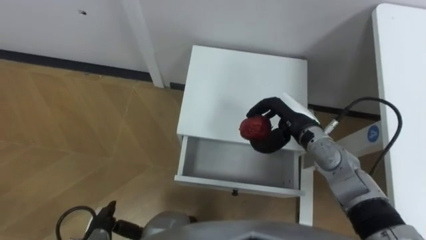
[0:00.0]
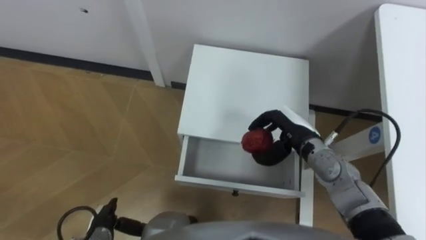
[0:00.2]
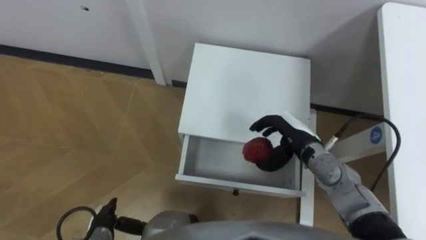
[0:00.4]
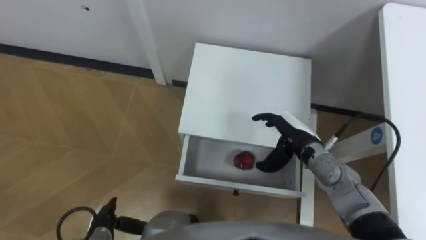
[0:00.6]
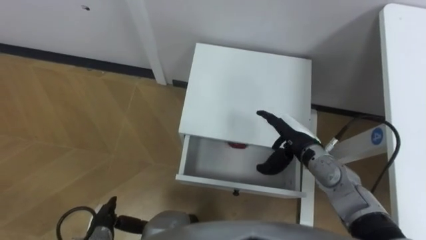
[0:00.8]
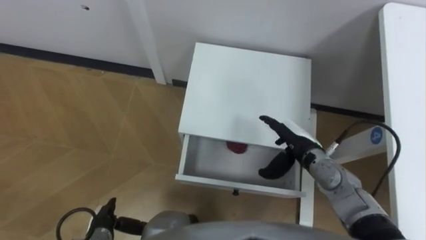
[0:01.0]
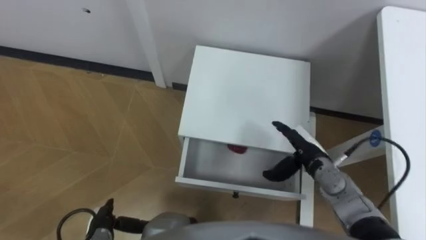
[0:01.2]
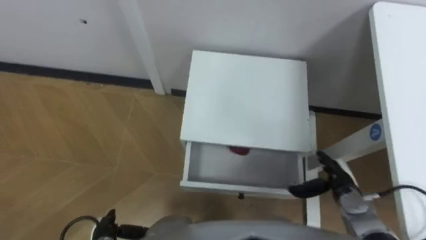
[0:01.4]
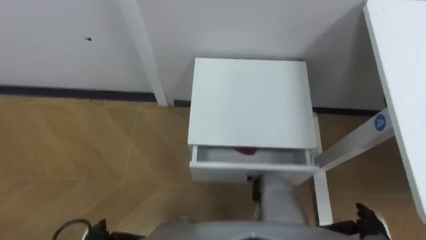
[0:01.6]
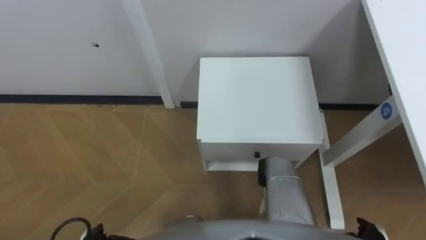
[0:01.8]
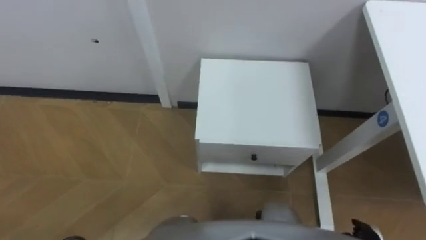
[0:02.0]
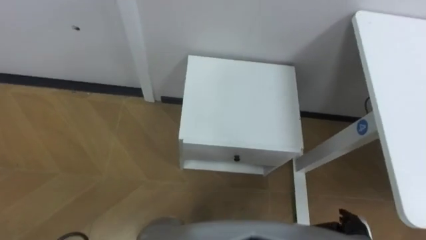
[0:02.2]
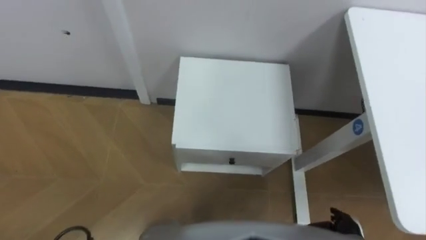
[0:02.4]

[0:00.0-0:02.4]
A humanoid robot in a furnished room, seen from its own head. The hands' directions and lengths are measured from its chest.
Task of the whole recording: Pick up the apple from the table, put it in the drawer, and close the drawer with leg.
0:00.0 to 0:01.2: The right hand shifts some 5 cm downward, and opens up.
0:01.2 to 0:02.4: The right hand moves backward, downward and to the right, about 20 cm.

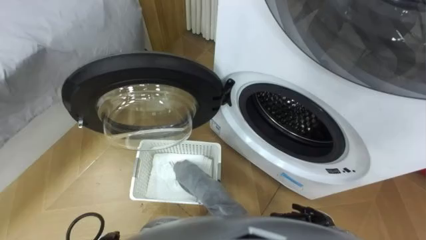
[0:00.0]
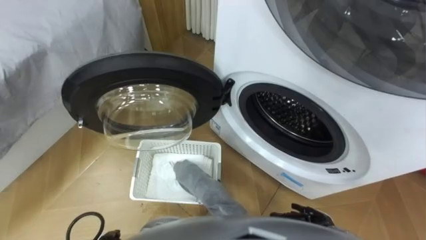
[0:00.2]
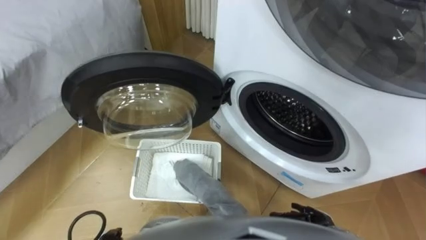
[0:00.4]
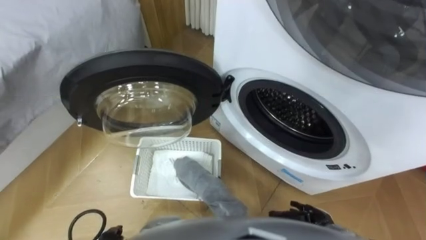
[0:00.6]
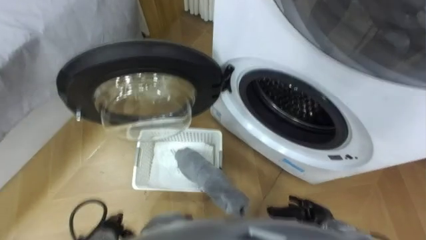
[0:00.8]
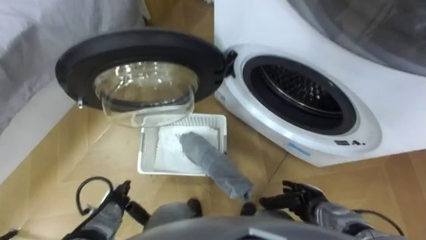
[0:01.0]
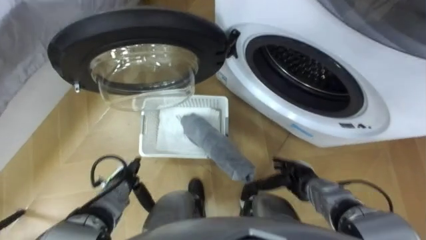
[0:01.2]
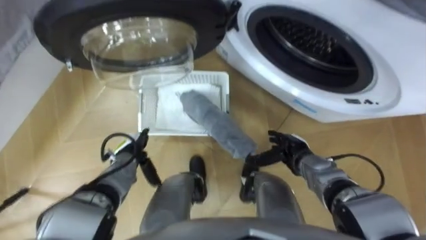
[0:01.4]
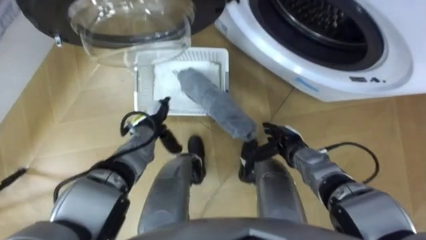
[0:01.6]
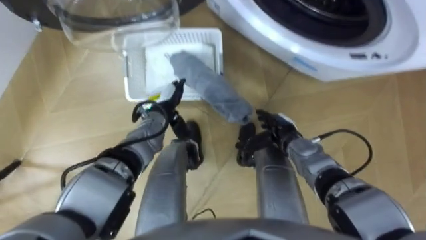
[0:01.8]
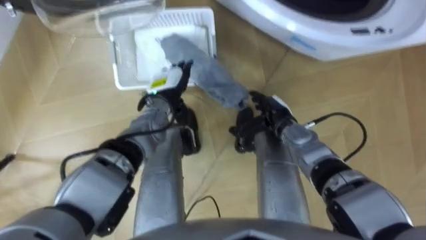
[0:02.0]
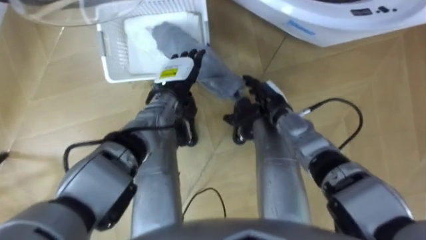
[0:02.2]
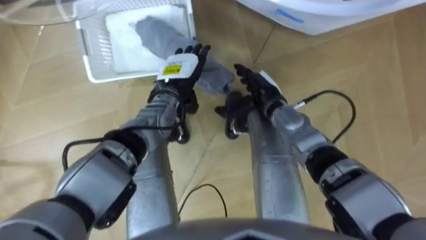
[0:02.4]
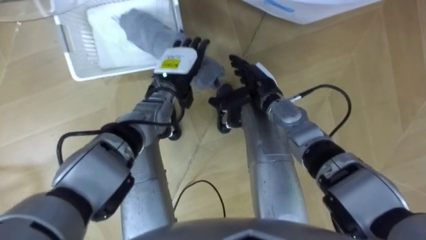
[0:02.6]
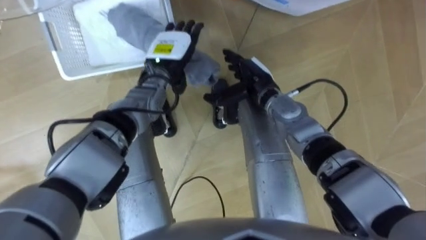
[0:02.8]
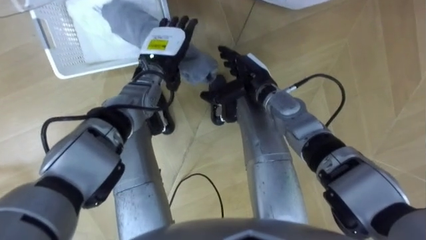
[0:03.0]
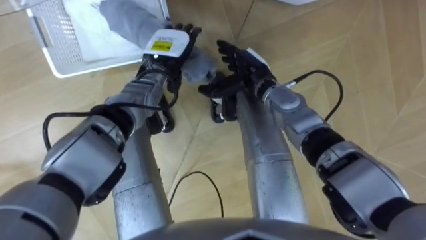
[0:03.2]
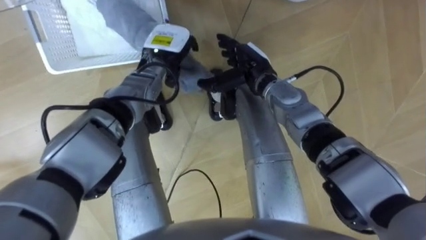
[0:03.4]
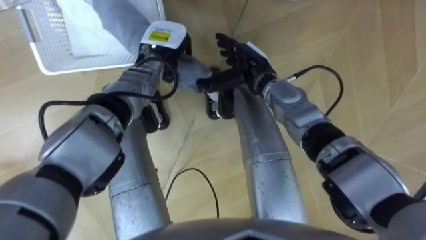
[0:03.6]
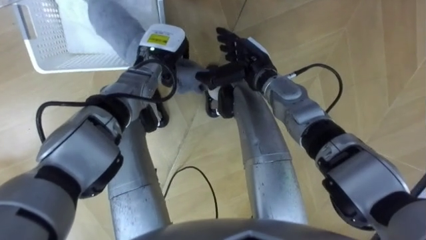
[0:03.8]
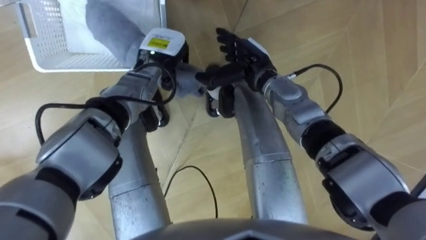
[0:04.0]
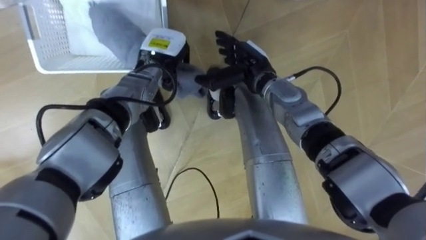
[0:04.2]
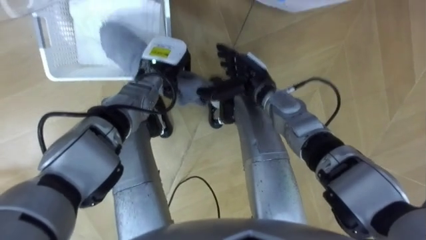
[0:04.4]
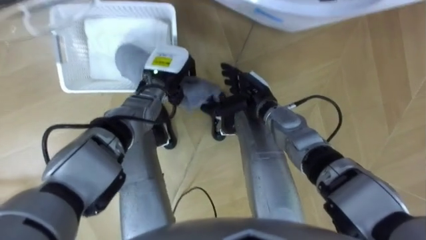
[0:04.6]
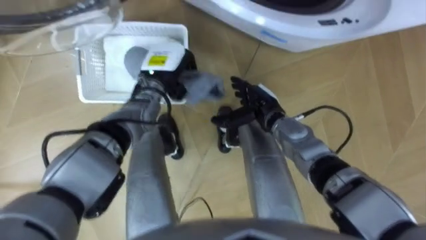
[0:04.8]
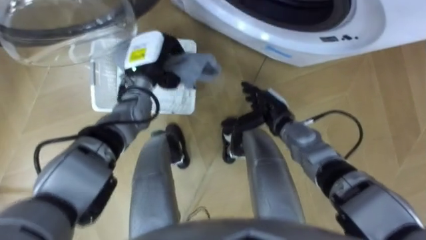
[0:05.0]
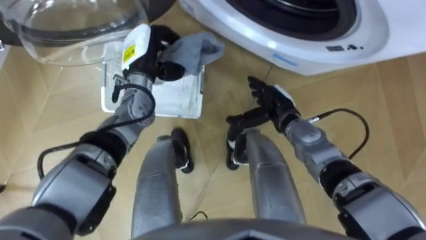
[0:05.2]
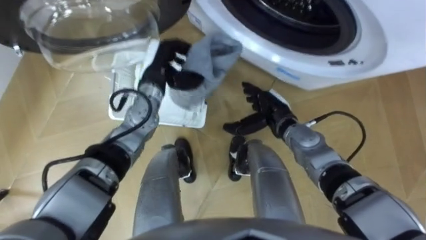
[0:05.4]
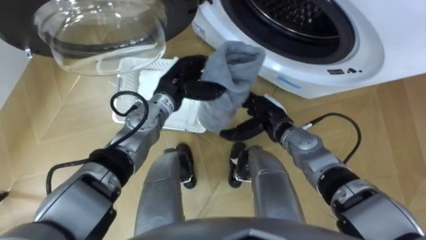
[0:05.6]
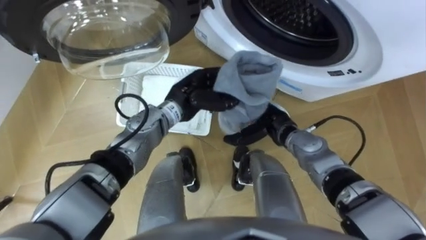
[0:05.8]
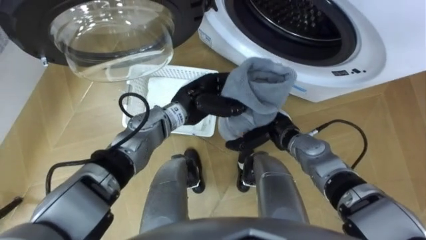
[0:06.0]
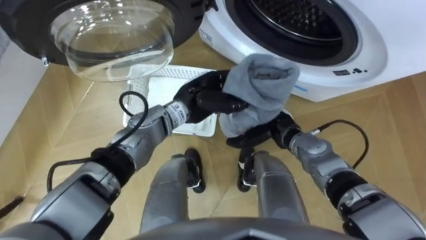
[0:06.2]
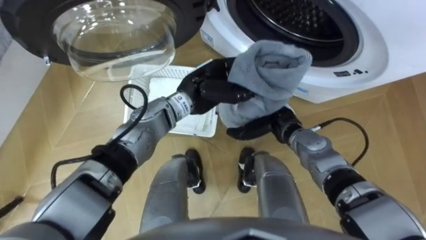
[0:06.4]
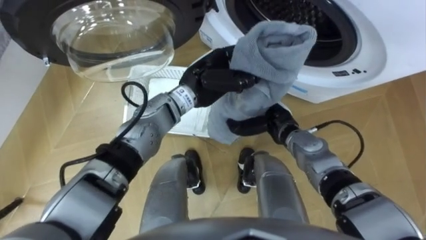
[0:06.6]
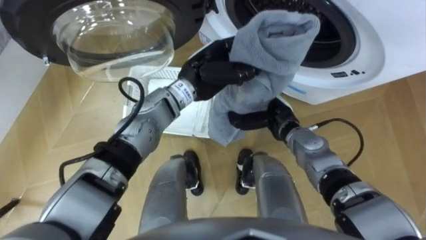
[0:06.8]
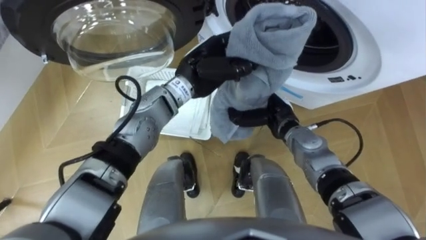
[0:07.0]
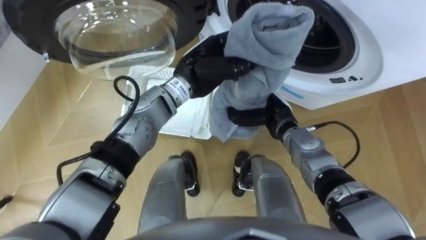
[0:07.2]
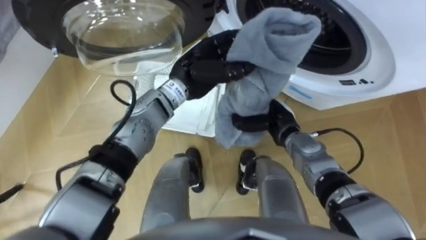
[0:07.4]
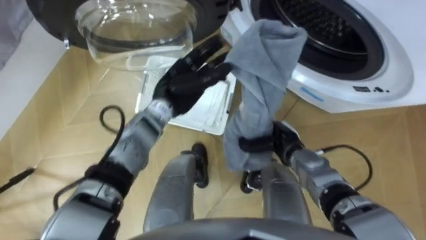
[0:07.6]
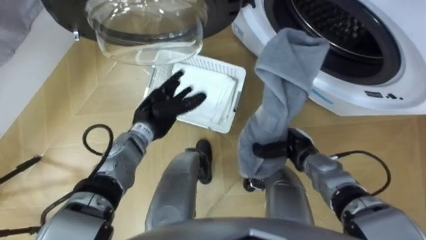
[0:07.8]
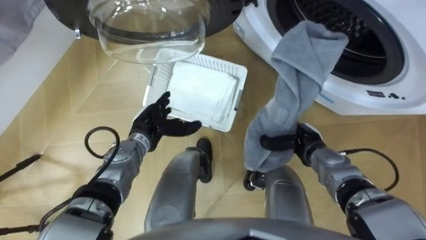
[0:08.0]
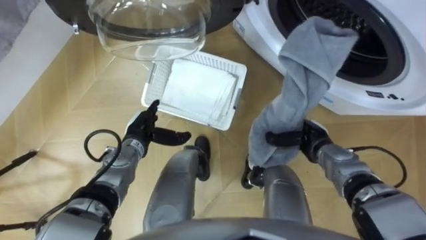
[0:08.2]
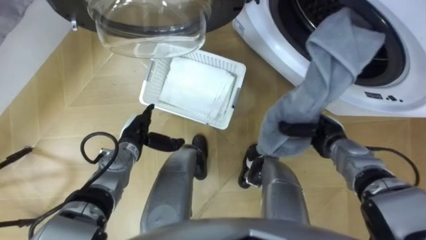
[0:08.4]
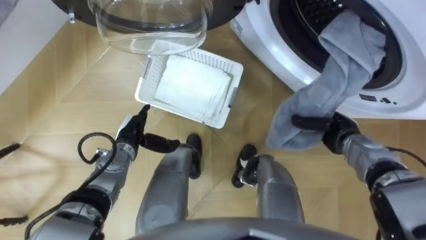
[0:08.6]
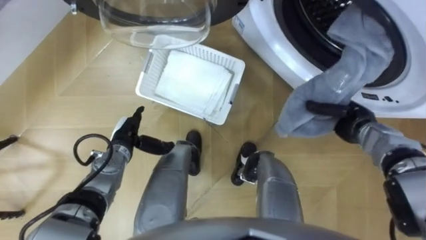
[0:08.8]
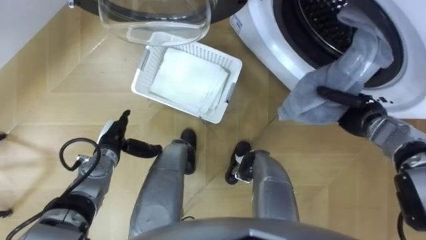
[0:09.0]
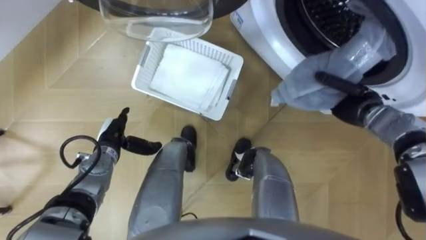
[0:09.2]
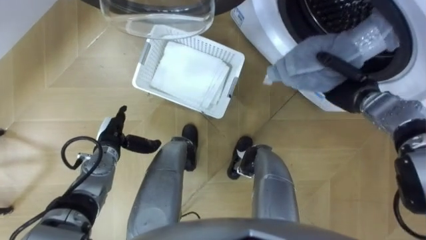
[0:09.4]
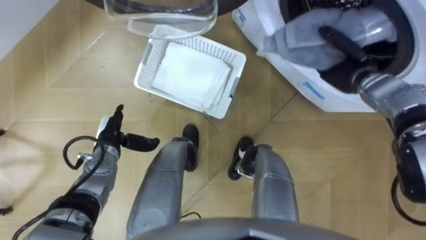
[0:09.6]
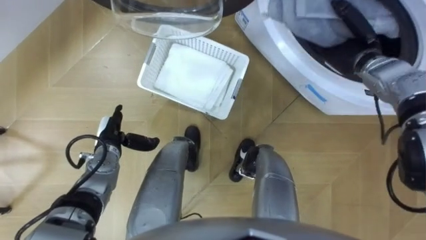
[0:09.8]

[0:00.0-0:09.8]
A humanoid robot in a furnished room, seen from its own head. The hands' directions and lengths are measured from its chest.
Task of the whole recording: Take the towel from the basket and put it into the washing machine.
0:01.4 to 0:02.8: The left hand goes some 25 cm forward, upward and to the right, while the right hand travels upward, forward and to the left by about 20 cm.
0:02.8 to 0:04.2: The left hand closes its fingers.
0:04.2 to 0:05.6: The left hand is displaced backward by about 5 cm. The right hand is displaced downward, backward and to the right by approximately 10 cm.
0:05.6 to 0:07.0: The left hand heads upward and to the right, covering approximately 10 cm, while the right hand closes its fingers.
0:07.0 to 0:08.4: The right hand goes some 10 cm to the right; the left hand is displaced downward, to the left and backward by approximately 25 cm, and opens its fingers.
0:08.4 to 0:09.8: The right hand travels upward and forward by approximately 20 cm. Meanwhile the left hand heads to the left, covering some 5 cm.

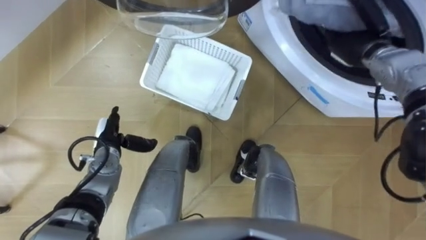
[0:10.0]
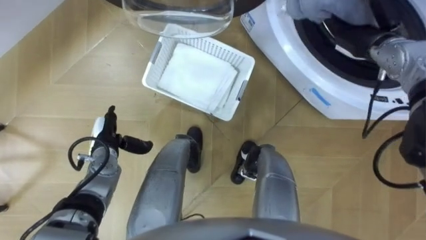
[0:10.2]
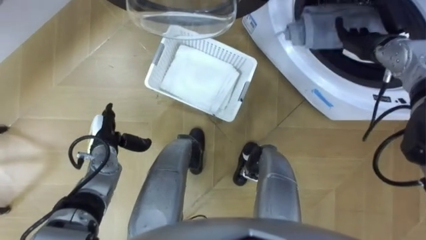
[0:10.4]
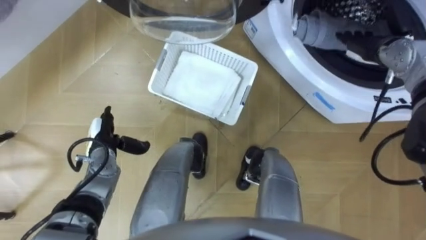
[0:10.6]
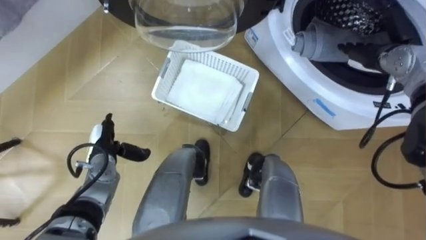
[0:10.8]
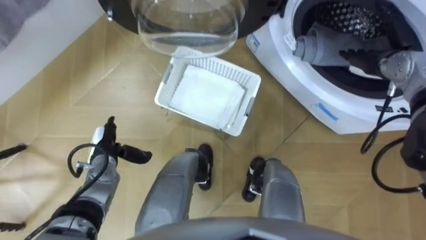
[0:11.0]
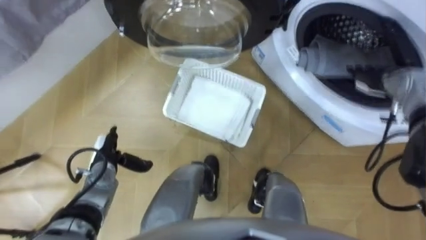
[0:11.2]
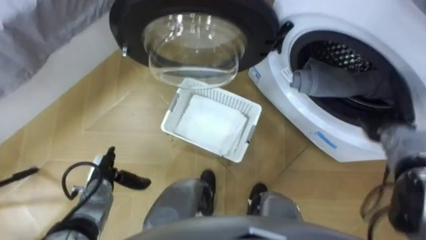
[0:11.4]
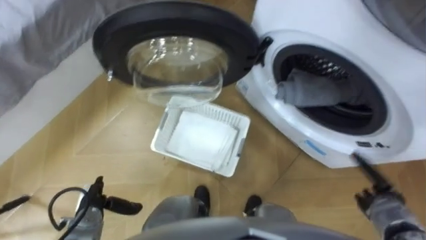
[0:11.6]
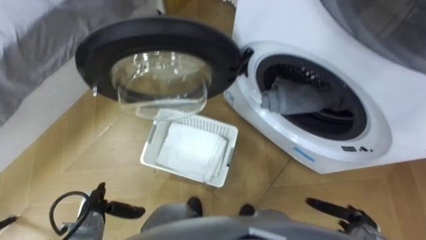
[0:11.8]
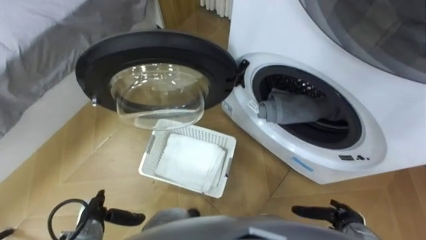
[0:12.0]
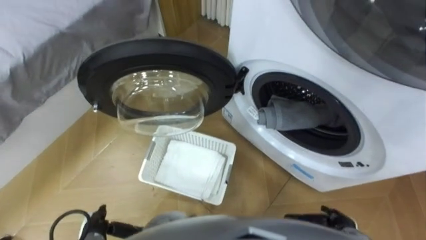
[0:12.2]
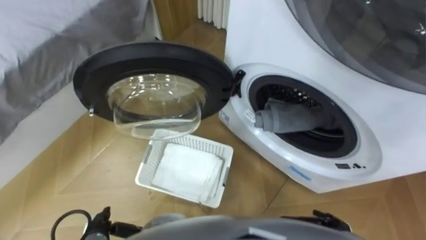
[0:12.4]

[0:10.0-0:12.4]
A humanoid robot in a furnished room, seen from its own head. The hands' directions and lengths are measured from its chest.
Task of the whole recording: Take the towel from the basket and put it into the washing machine.
0:10.0 to 0:11.2: The right hand is displaced to the right by roughly 5 cm.
0:11.2 to 0:12.4: The right hand goes approximately 35 cm backward and downward; the left hand travels backward by approximately 15 cm.

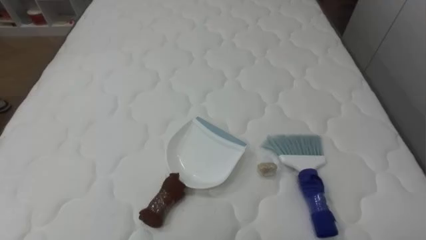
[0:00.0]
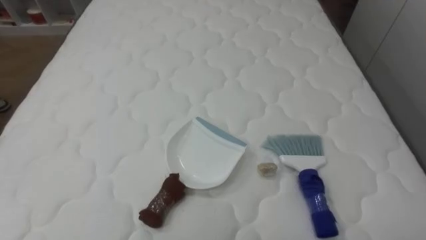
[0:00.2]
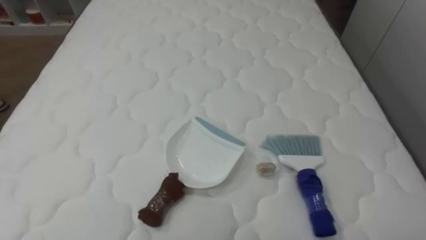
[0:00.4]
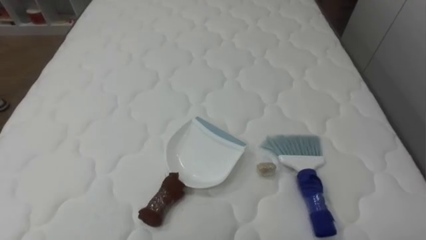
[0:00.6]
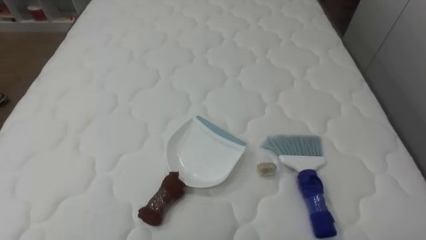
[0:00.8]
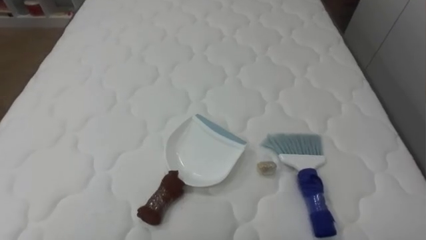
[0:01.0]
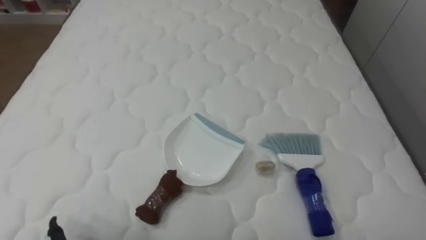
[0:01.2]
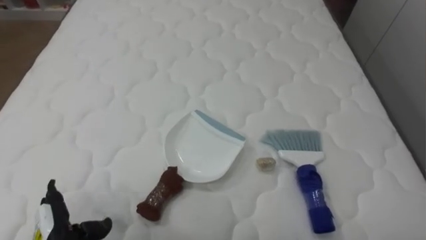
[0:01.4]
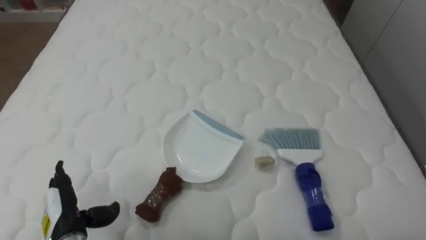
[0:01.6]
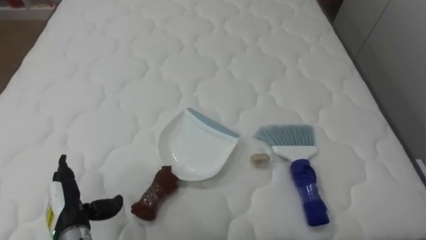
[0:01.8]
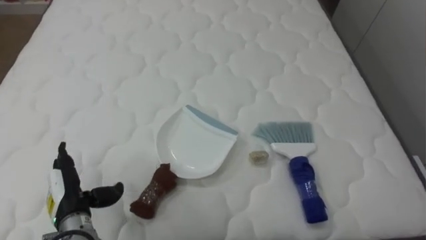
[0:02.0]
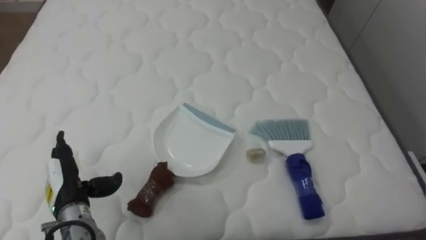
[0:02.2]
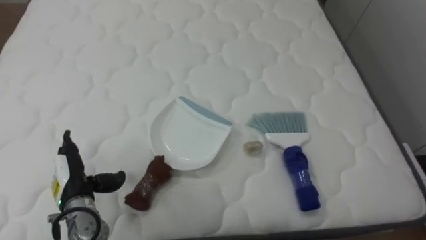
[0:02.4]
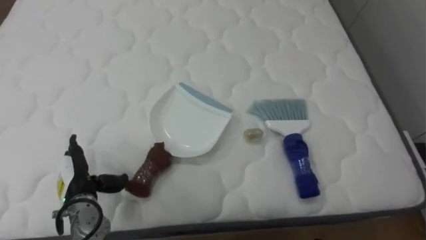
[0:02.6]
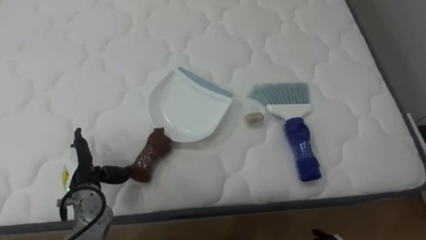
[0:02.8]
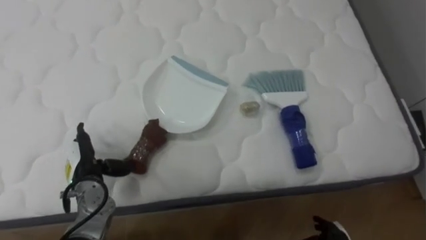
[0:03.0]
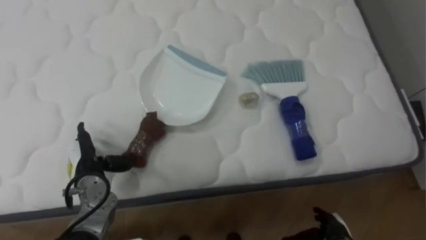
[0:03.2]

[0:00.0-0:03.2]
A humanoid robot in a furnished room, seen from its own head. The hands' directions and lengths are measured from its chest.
Task of the whole recording: Pick up the brush on your right and the dustpan on your left. Use the brush to sweep the crumpled paper on the bed into the dustpan, then turn left and empty it into the basket.
0:01.6 to 0:03.2: The left hand heads forward, covering approximately 10 cm.
